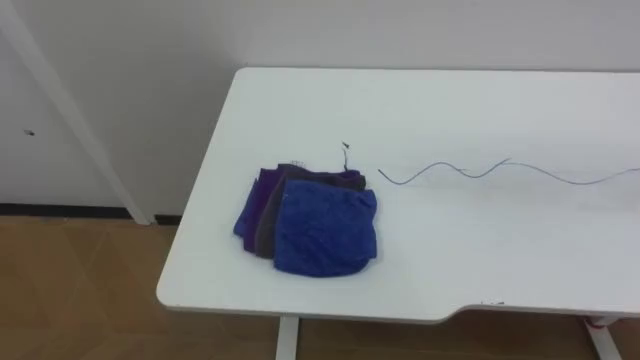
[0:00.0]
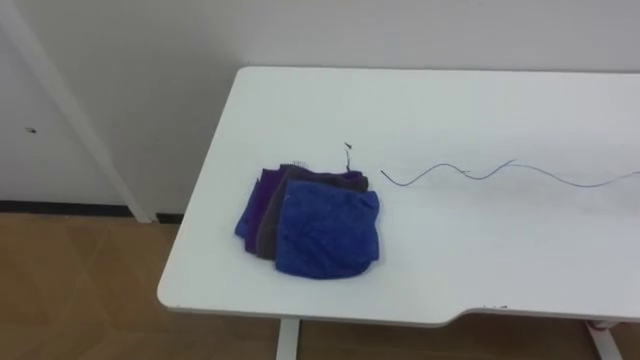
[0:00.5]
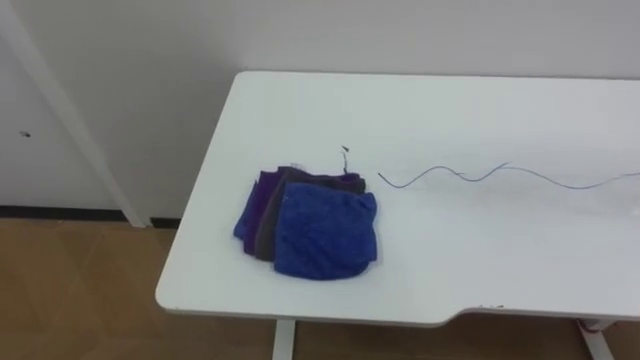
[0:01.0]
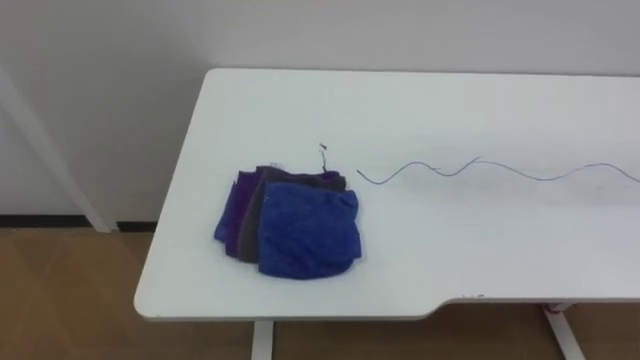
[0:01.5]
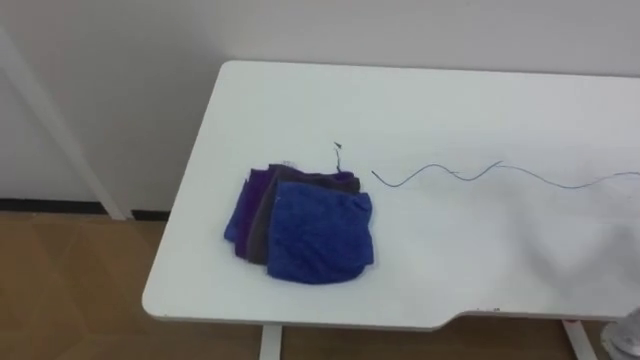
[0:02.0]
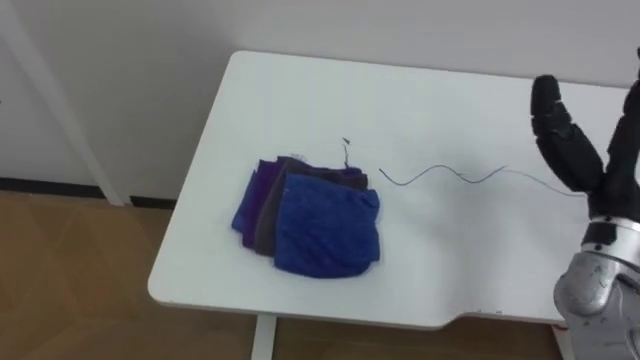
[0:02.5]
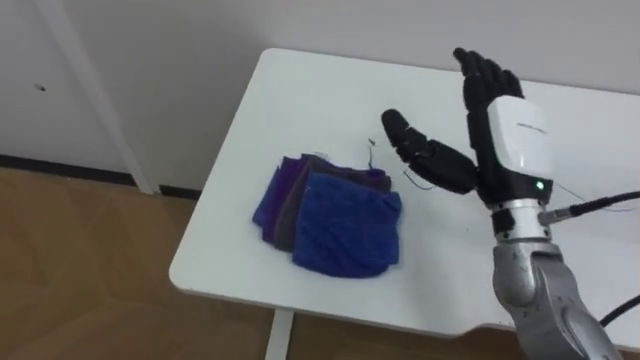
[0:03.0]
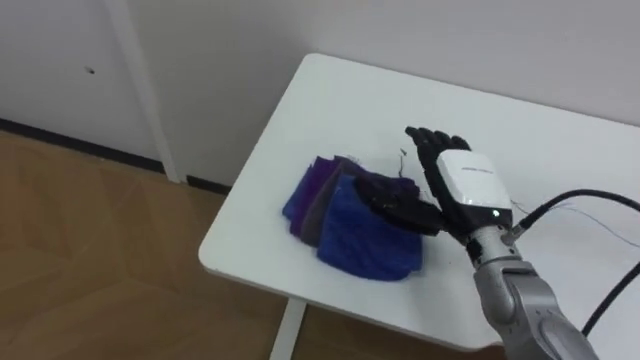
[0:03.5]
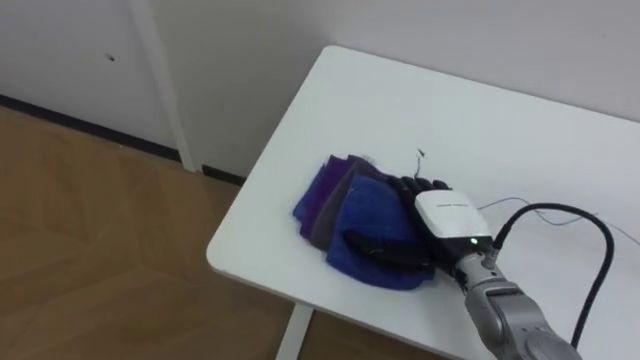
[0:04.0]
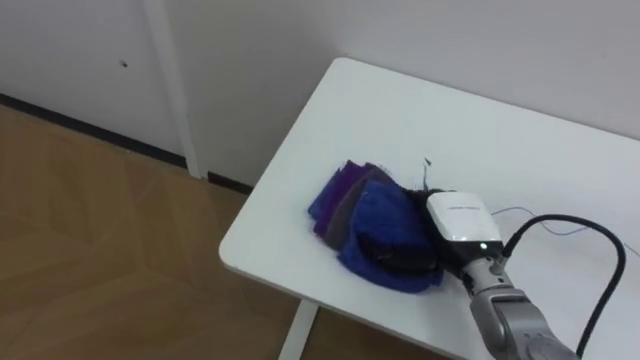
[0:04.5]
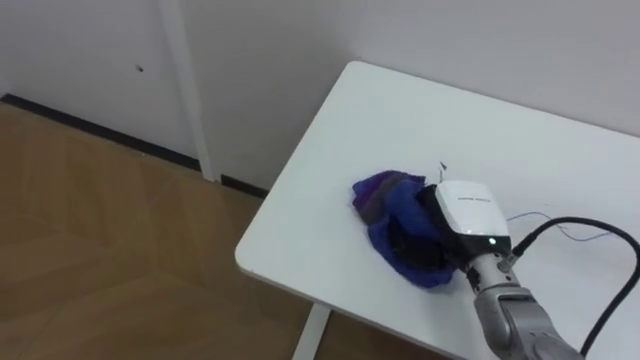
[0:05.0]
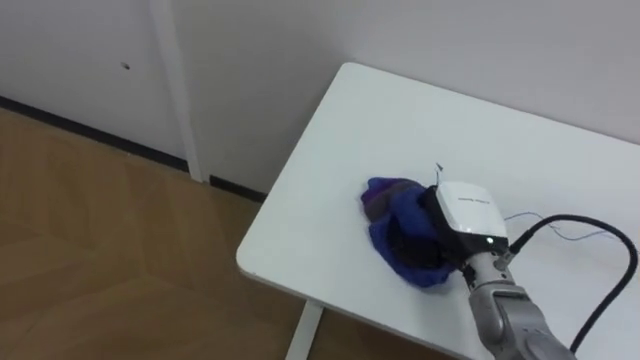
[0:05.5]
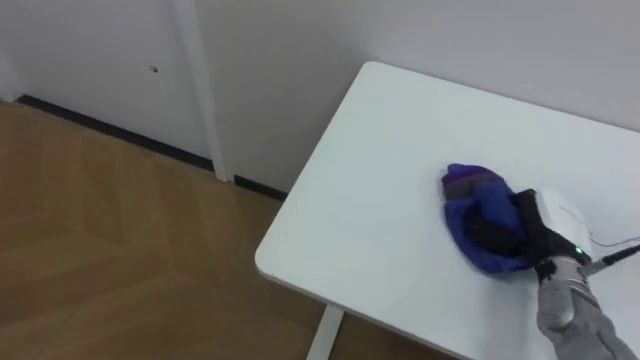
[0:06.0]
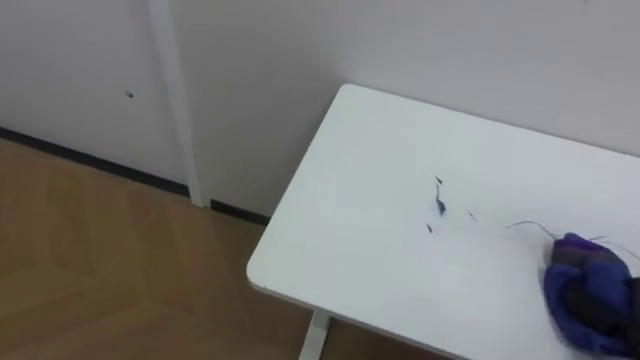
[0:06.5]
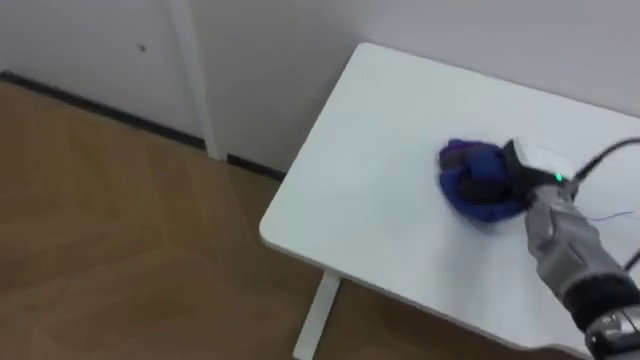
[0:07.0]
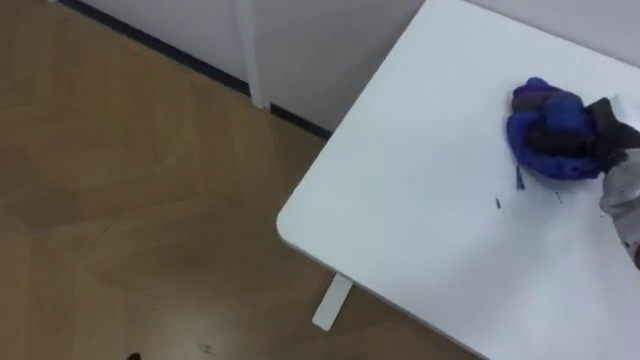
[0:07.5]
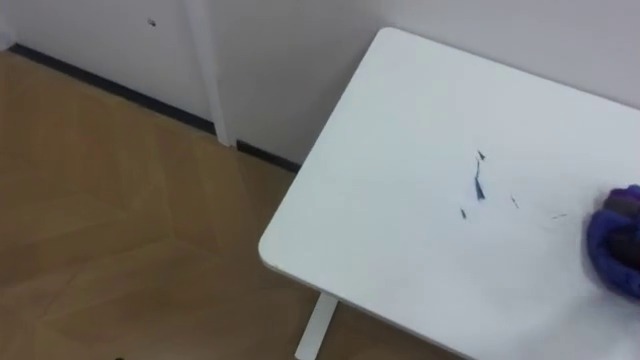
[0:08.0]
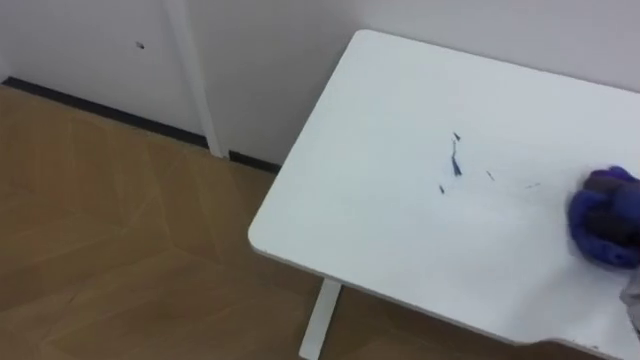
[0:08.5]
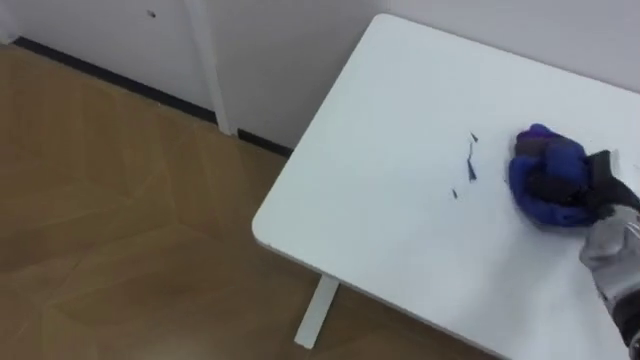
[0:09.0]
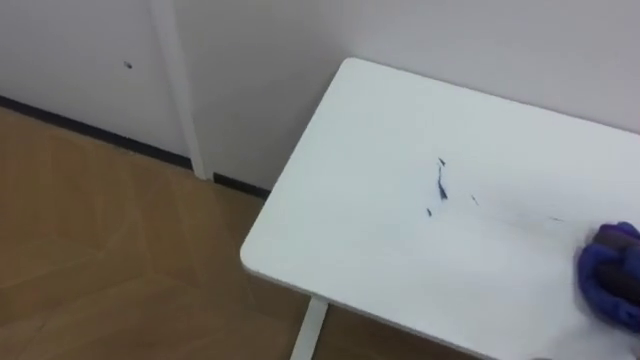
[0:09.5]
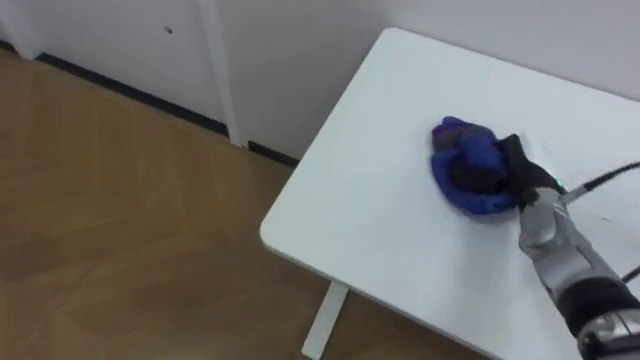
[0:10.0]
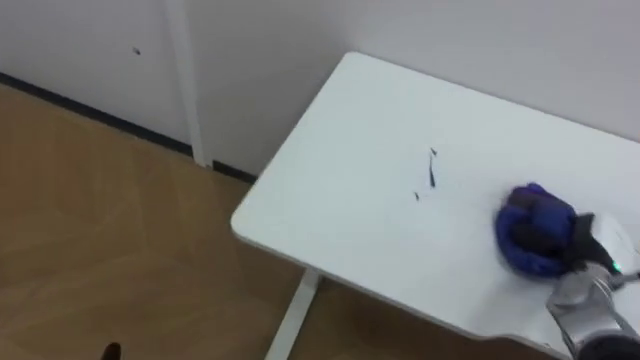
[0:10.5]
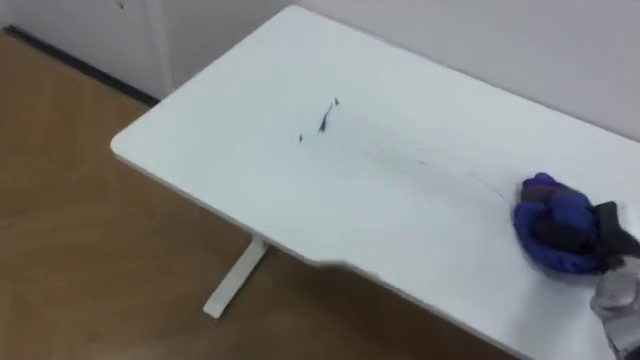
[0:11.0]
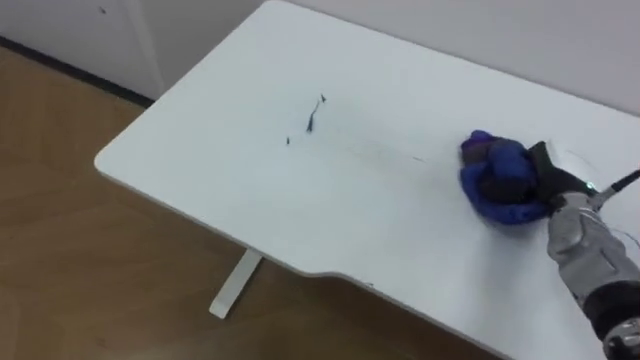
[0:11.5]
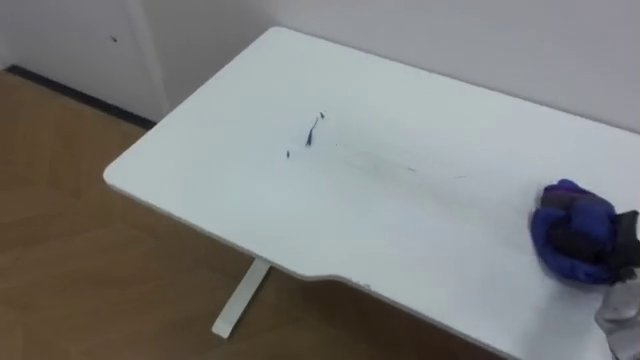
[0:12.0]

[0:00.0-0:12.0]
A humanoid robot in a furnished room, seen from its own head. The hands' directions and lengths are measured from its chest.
Task of the whole recording: Wipe the blue pen marks off the table with the rag.
0:04.0 to 0:06.0: The right hand shifts about 15 cm to the right, and closes.
0:10.0 to 0:12.0: The right hand moves left and right over roughly 15 cm, changing direction 2 times.

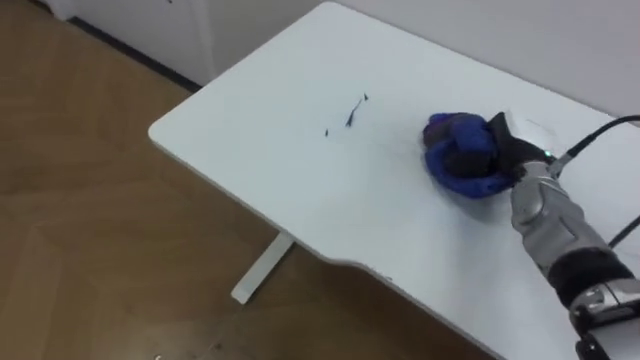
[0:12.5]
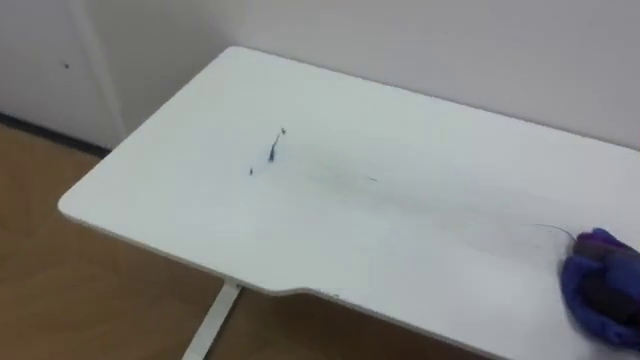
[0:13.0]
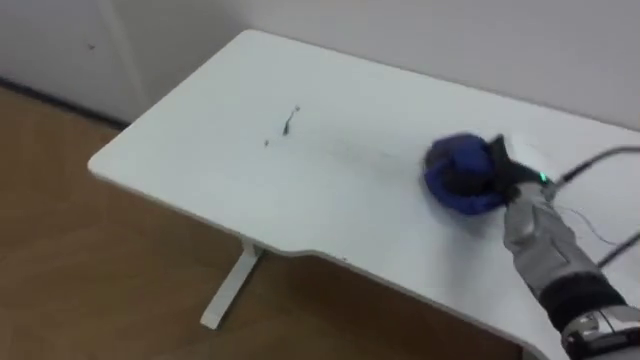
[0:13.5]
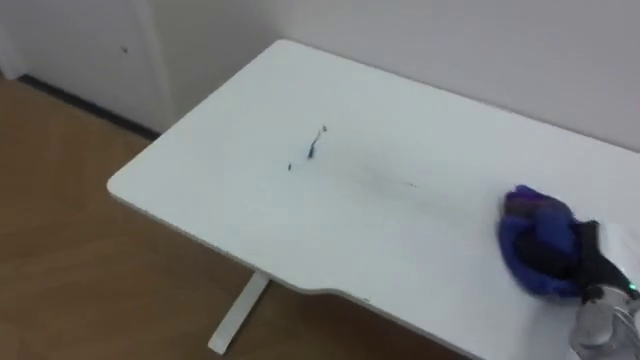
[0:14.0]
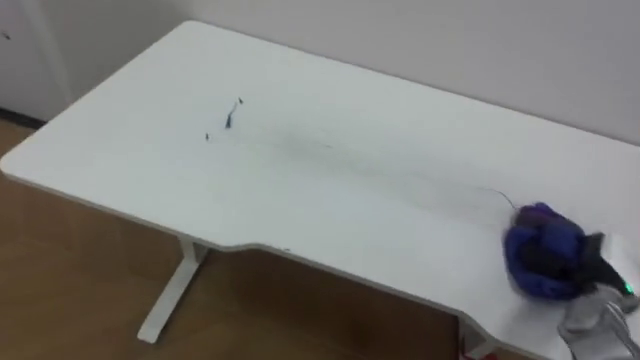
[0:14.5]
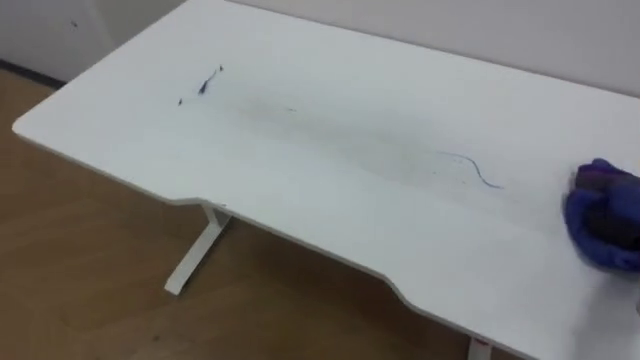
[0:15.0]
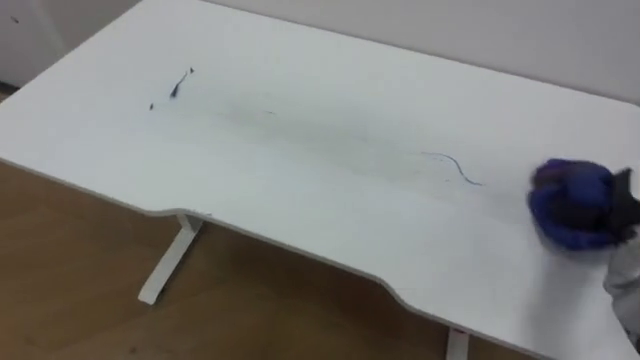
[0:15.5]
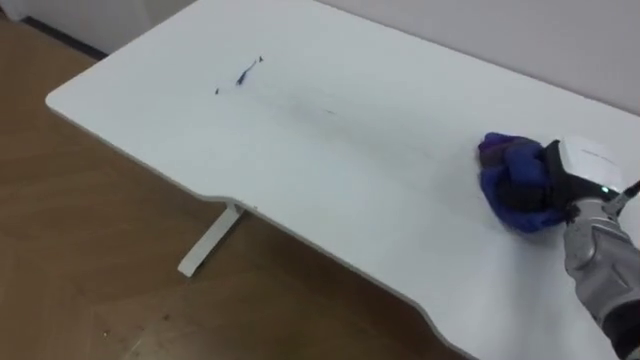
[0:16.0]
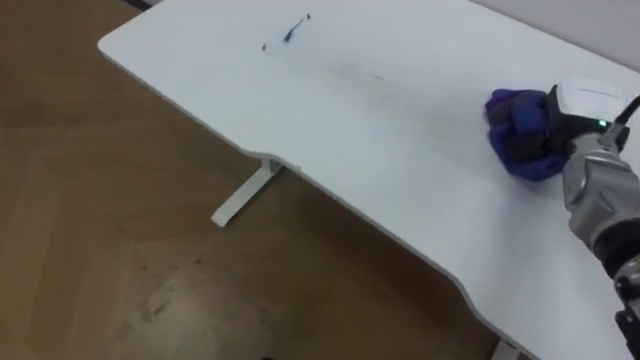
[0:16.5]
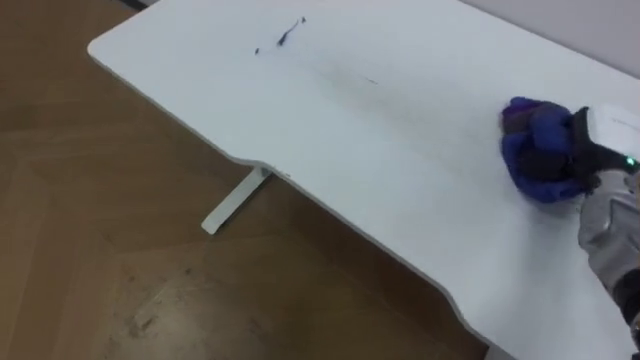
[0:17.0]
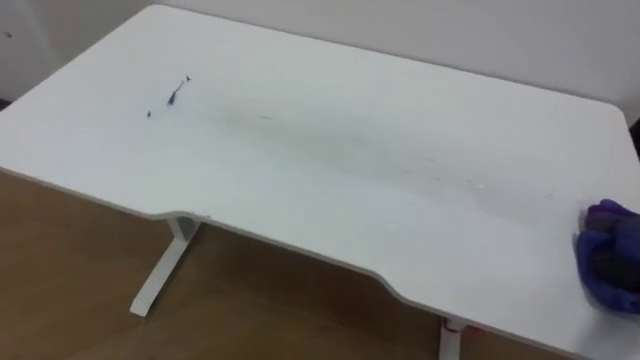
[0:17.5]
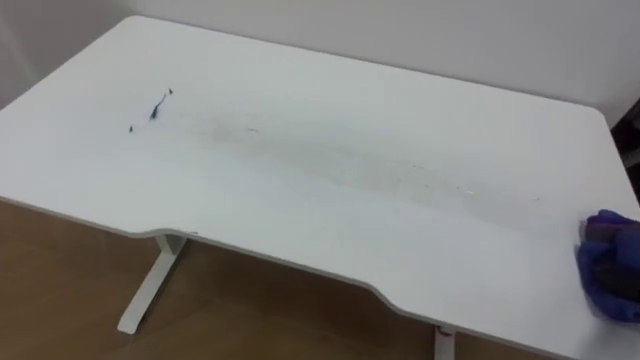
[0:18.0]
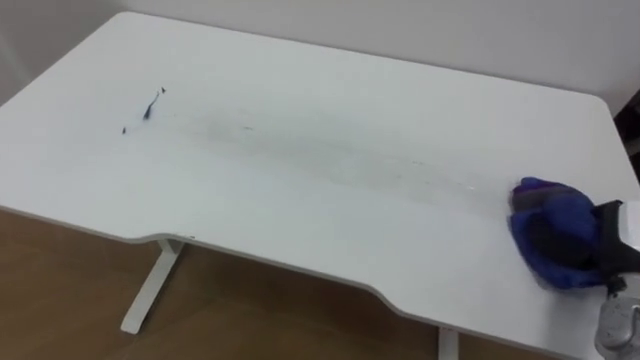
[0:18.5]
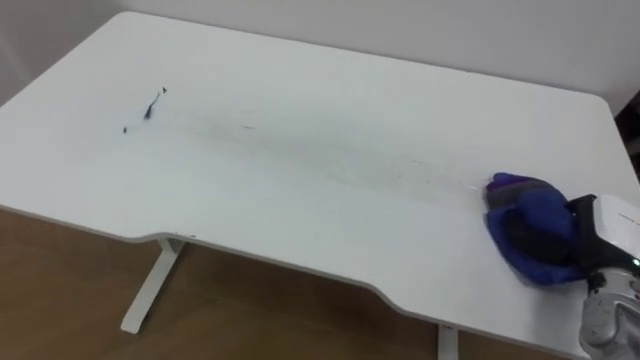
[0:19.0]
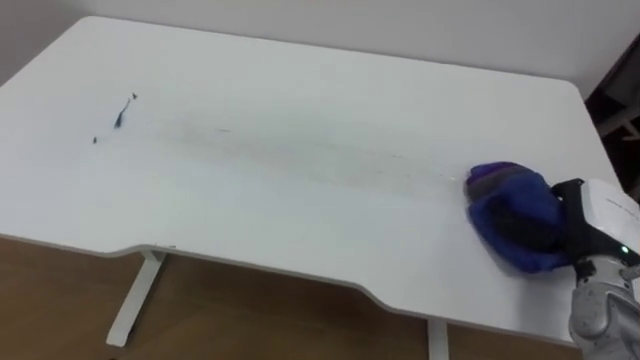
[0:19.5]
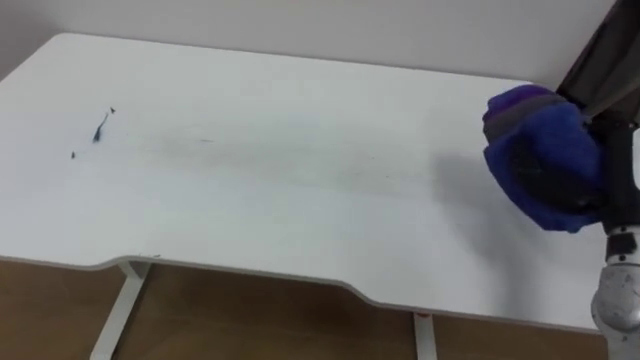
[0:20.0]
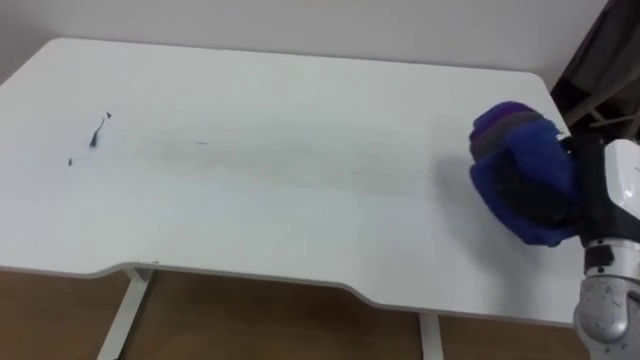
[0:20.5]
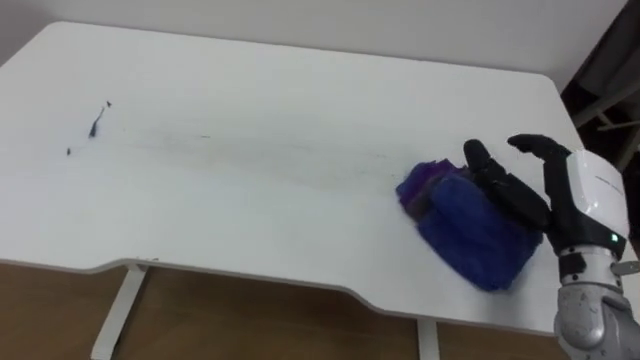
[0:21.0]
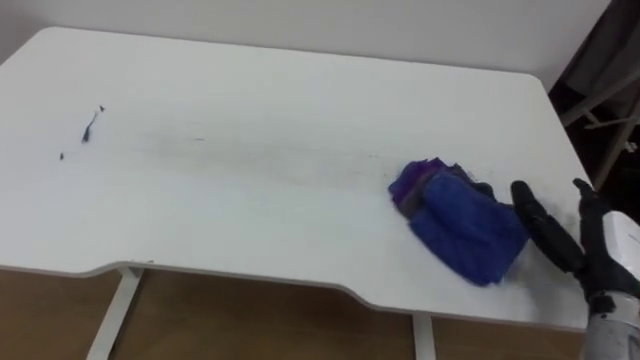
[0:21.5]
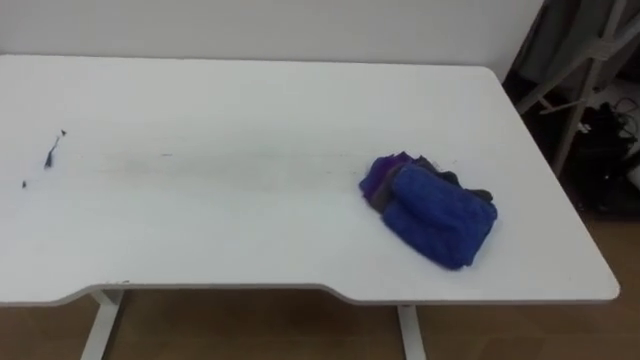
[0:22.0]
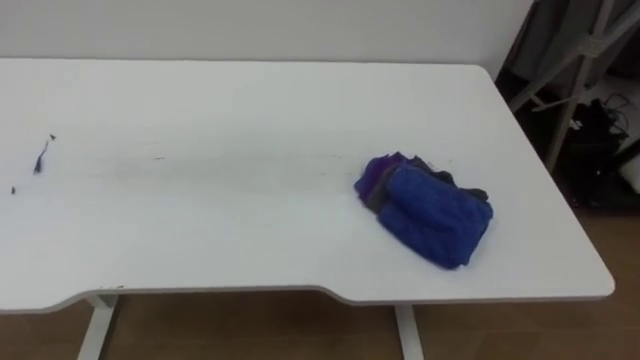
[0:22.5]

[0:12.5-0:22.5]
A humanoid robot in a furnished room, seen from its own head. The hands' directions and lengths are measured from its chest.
Task of the whole recording: Wipe the blue pen marks off the table with the rag.
0:18.5 to 0:20.5: The right hand is displaced upward and to the left by approximately 10 cm.
